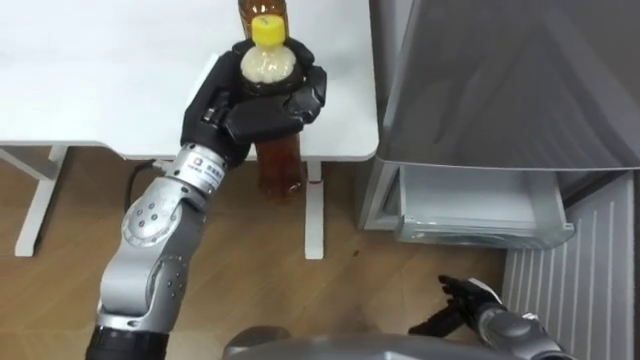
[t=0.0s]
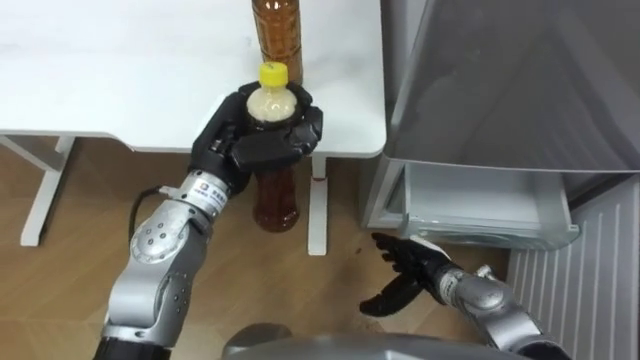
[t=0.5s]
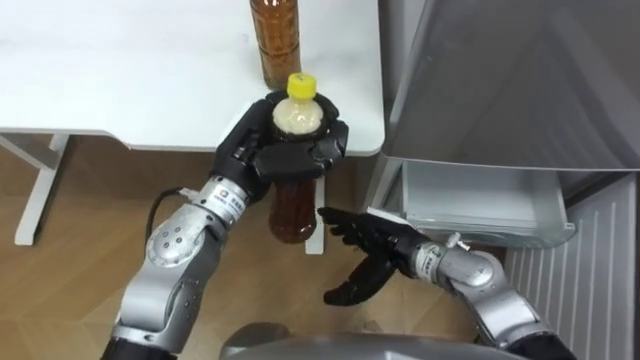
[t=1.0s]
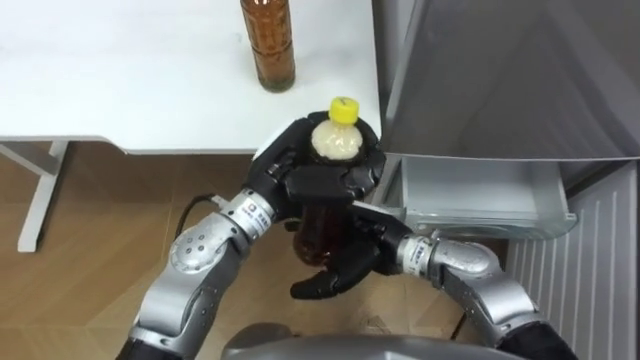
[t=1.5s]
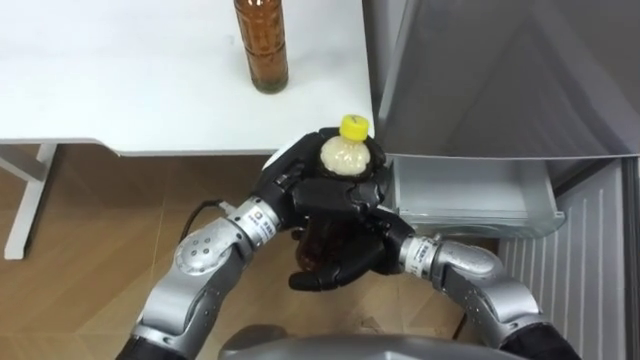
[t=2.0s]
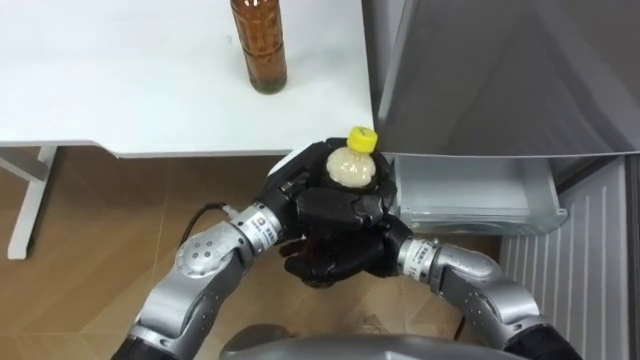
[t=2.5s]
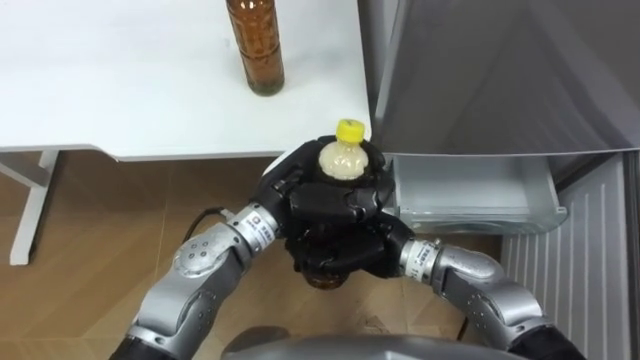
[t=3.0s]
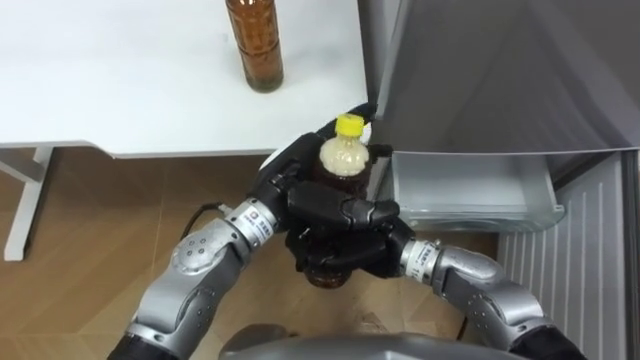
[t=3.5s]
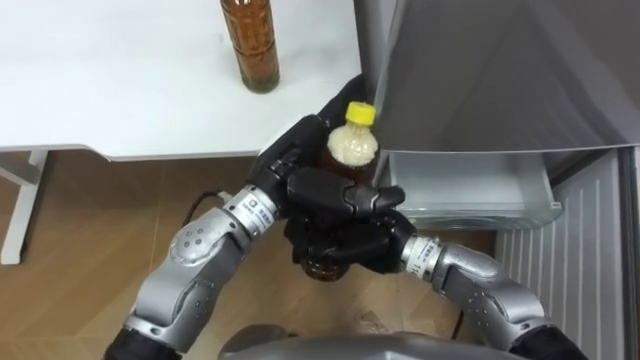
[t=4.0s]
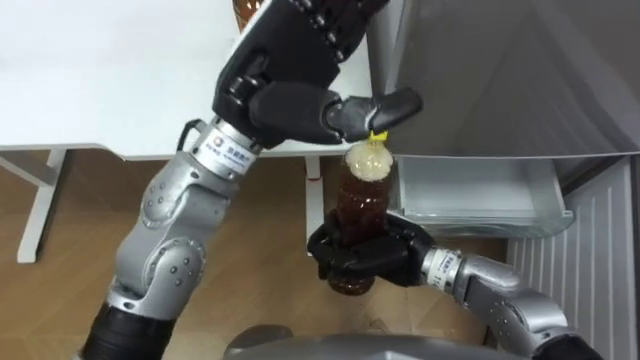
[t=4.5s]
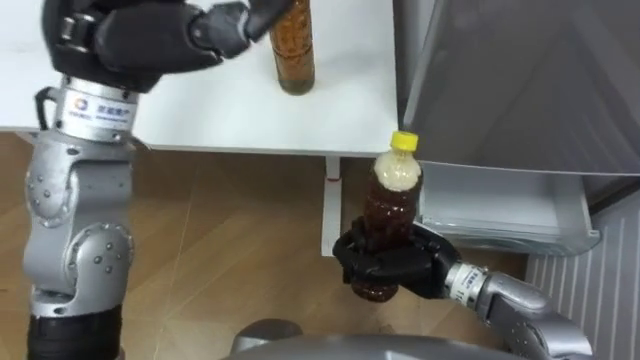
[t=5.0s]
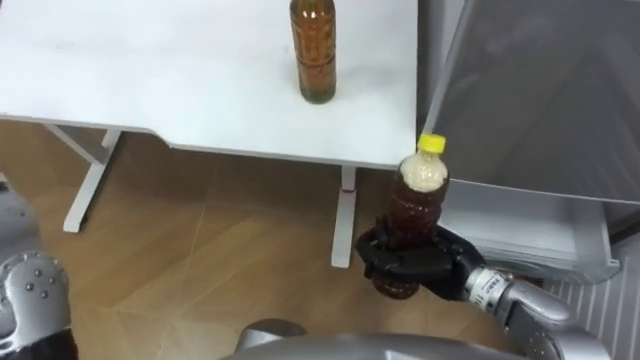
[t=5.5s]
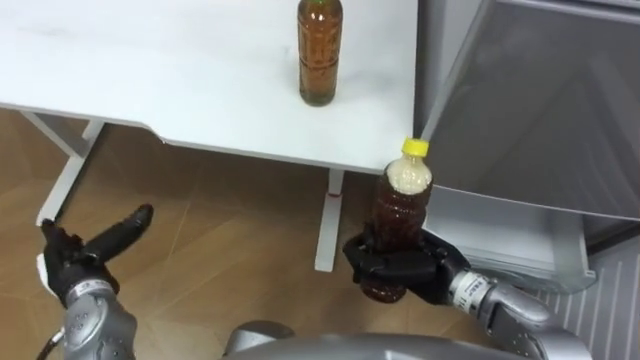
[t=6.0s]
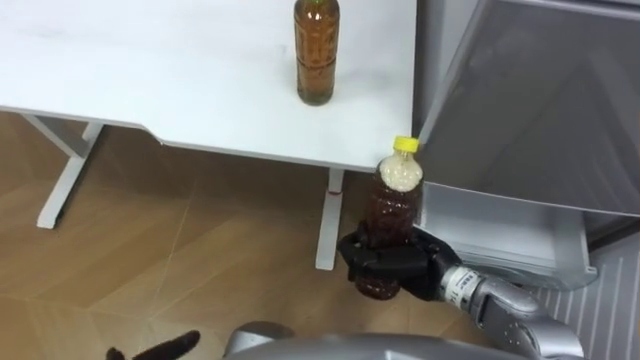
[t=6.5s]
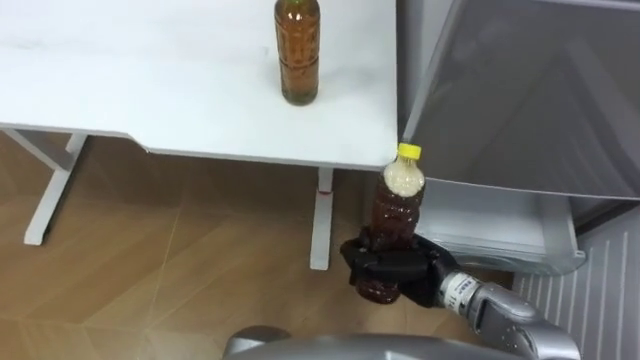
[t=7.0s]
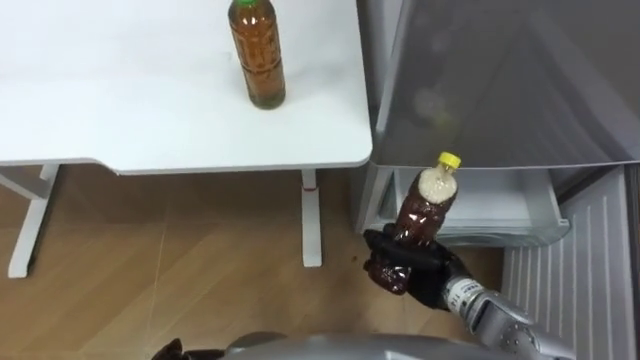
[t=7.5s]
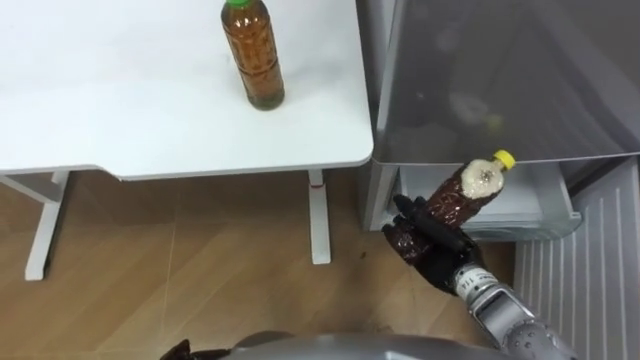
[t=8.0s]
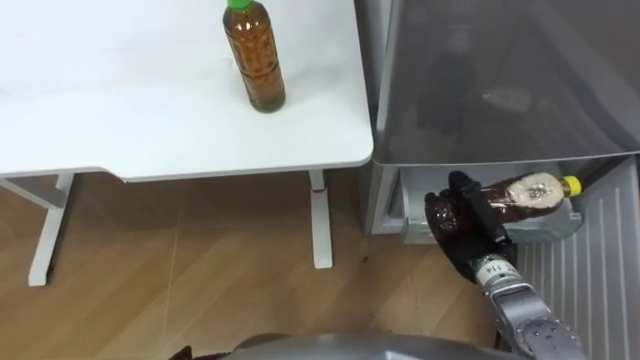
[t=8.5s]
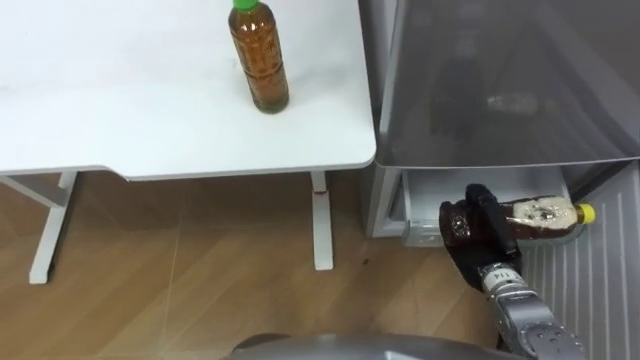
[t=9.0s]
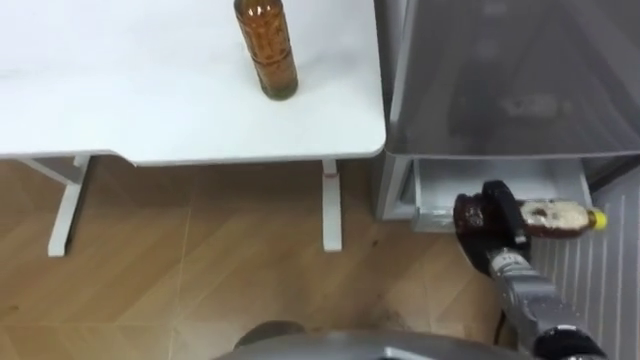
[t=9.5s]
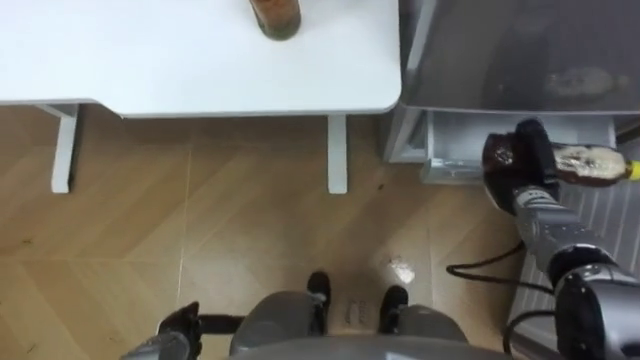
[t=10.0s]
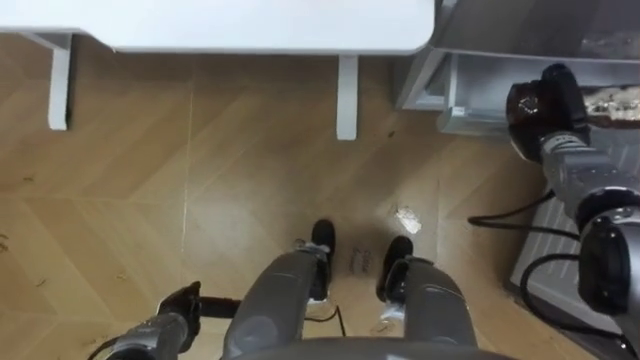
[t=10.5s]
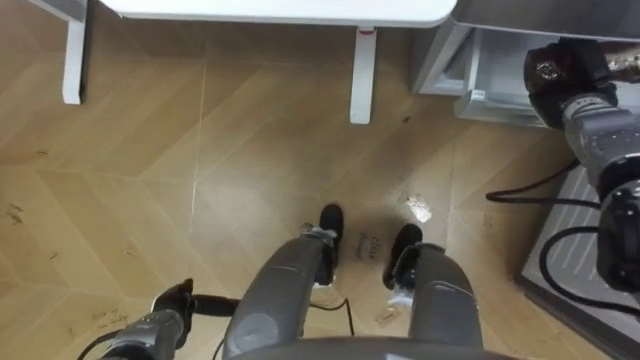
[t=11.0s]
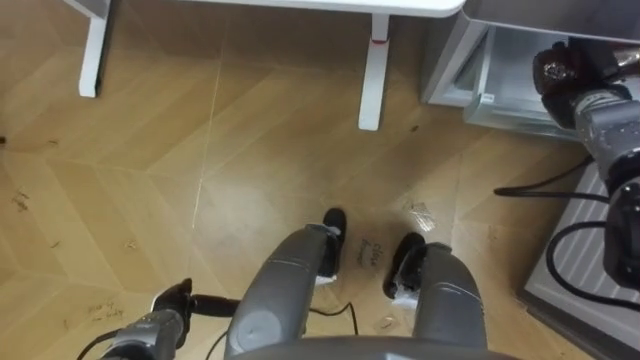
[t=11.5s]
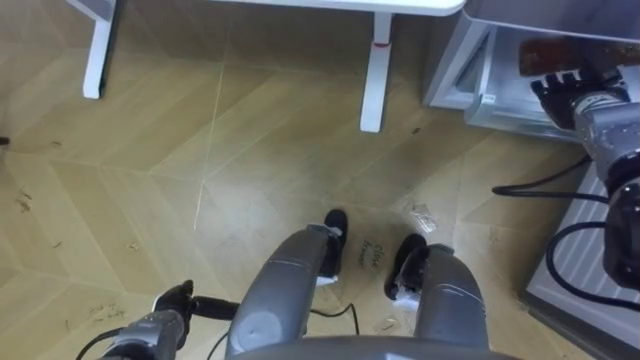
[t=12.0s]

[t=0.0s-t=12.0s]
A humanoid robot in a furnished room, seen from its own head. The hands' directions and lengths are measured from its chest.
Task of the whole recording: Place the drink on the table on the bottom shelf of the refrigerator, then close the drawer and the refrigerator door.
t=0.0s to t=2.0s: The right hand travels to the left, upward and forward by roughly 25 cm. The left hand is displaced to the right and downward by some 10 cm.
t=2.0s to t=4.0s: The right hand closes up. The left hand opens up.
t=4.0s to t=6.0s: The right hand travels to the right by roughly 10 cm.
t=6.0s to t=8.0s: The right hand shifts by roughly 5 cm.
t=8.0s to t=10.0s: The right hand travels to the right and forward by some 15 cm.
t=10.0s to t=12.0s: The right hand moves upward, forward and to the right, about 15 cm, and opens.

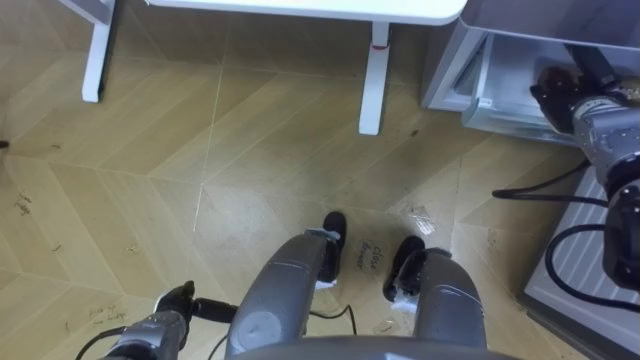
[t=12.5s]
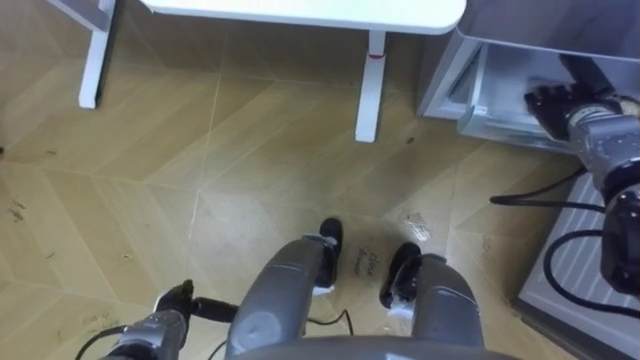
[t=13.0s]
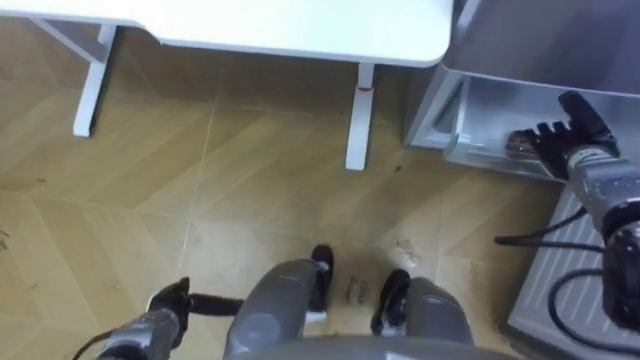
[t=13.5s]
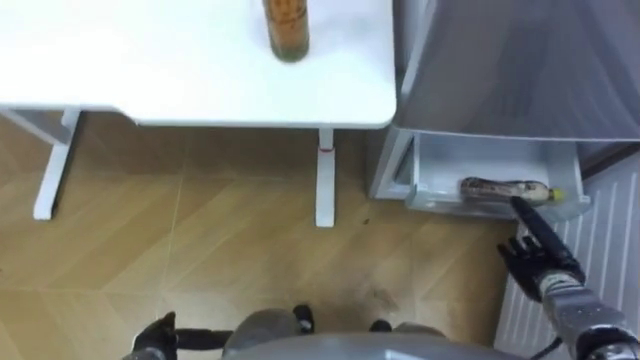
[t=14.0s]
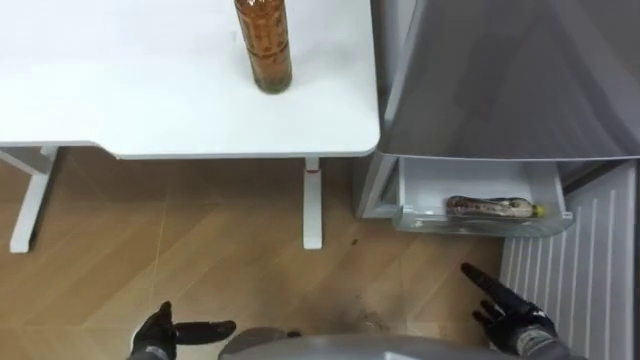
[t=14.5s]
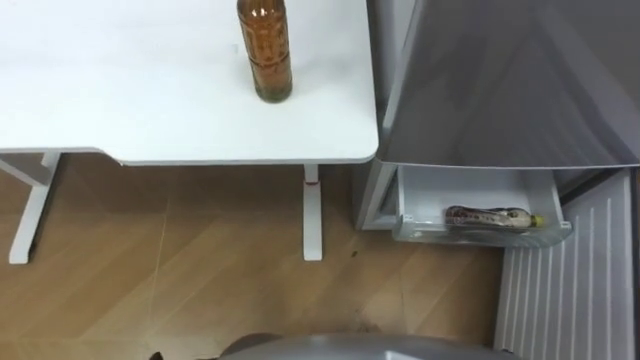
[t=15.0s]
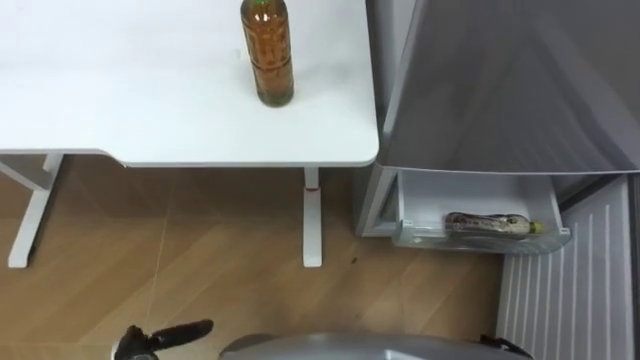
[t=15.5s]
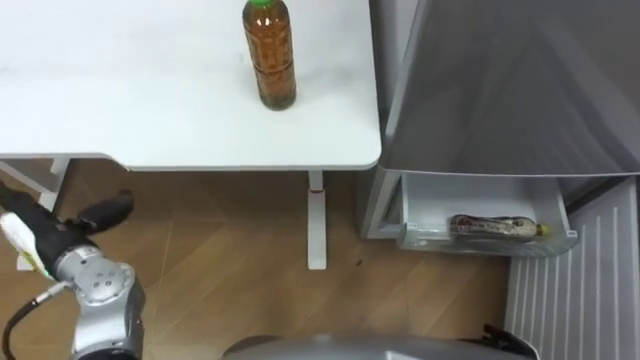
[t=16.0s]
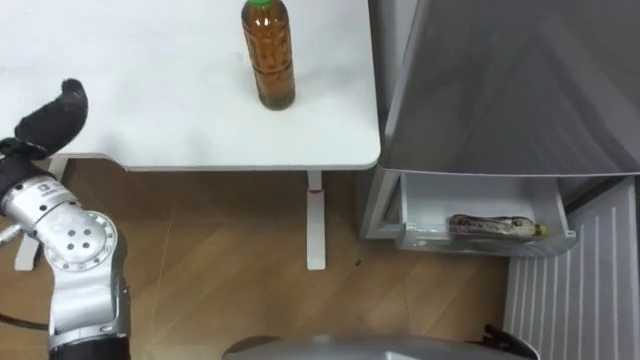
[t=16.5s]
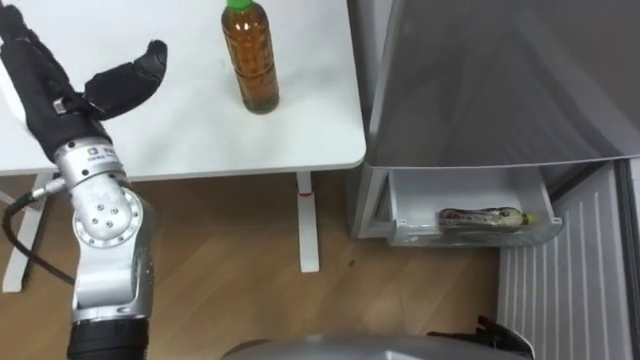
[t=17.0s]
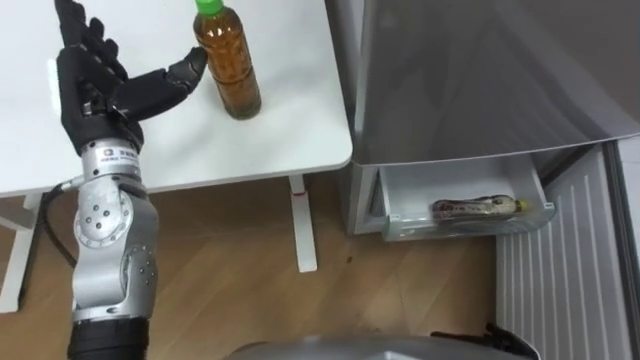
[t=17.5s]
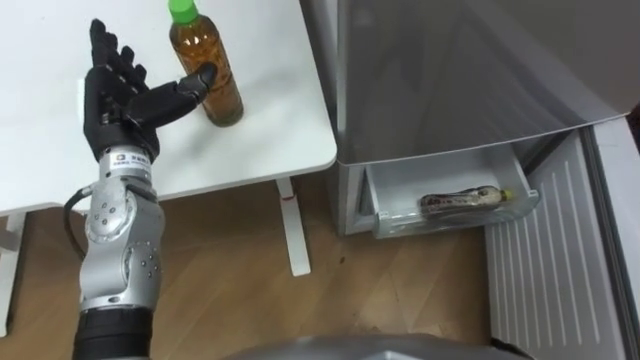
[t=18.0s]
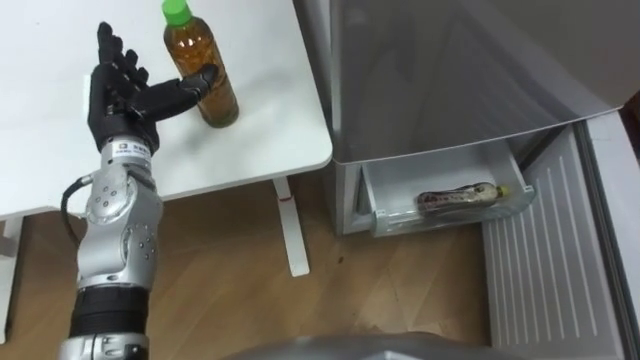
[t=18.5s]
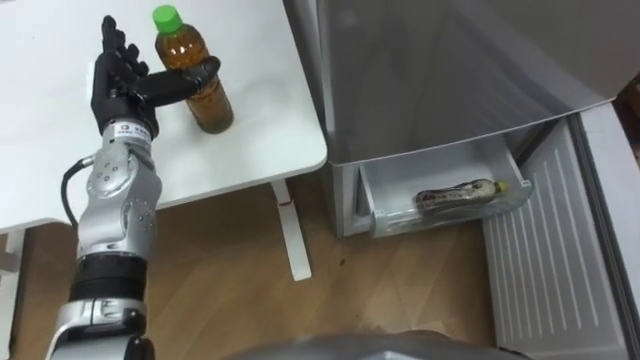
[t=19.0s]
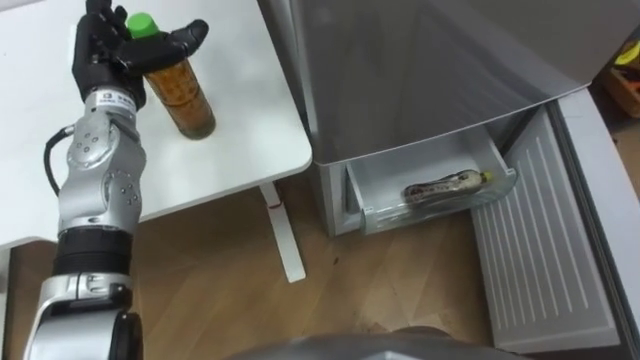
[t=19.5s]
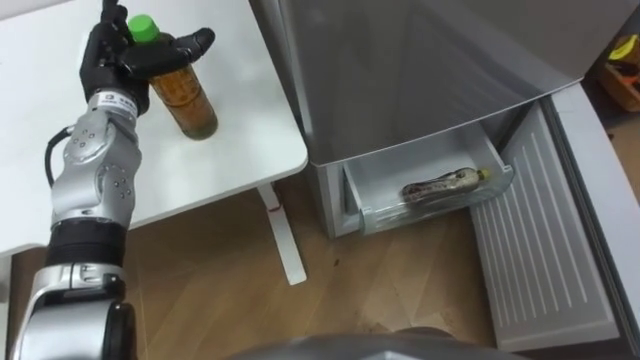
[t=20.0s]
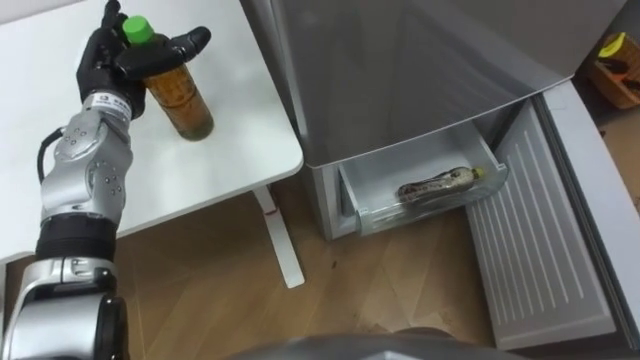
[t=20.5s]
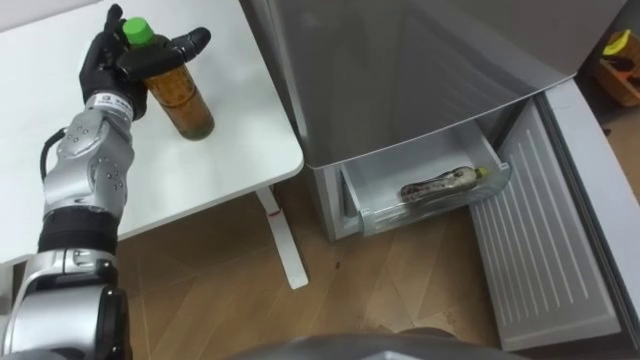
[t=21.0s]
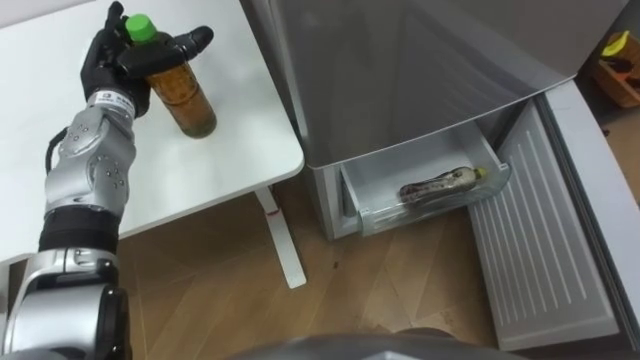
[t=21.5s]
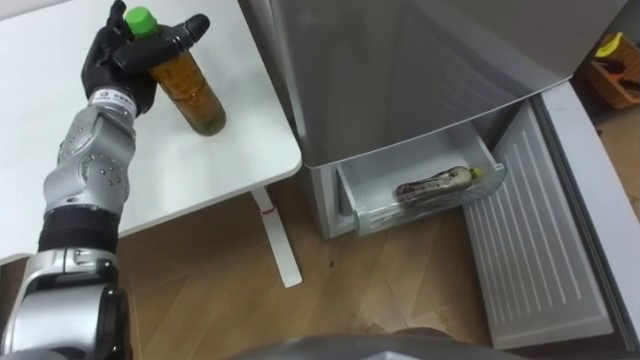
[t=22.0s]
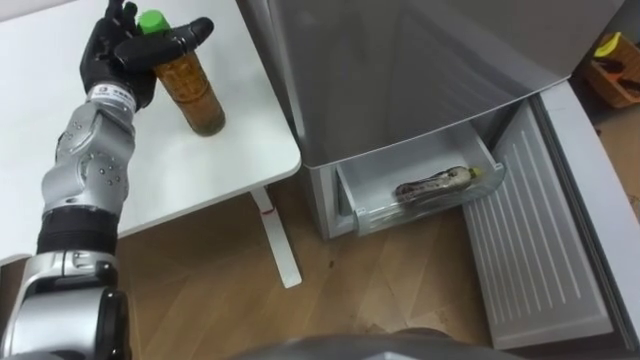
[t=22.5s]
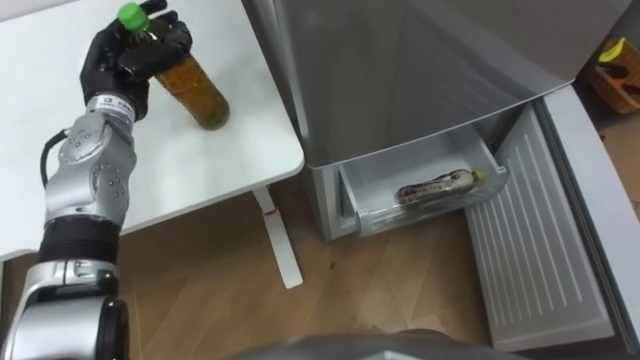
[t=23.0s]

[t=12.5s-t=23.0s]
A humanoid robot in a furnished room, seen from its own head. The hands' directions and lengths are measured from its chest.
Task of the whole recording: Place the drink on the table on the bottom shelf of the refrigerator, then close the drawer and the refrigerator door.
t=12.5s to t=14.5s: The right hand shifts roughly 35 cm backward and downward.
t=21.0s to t=23.0s: The left hand closes.
